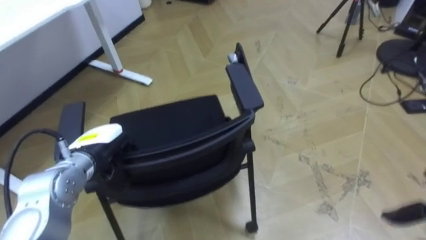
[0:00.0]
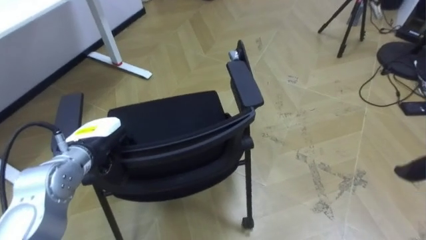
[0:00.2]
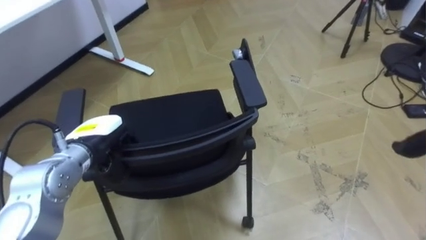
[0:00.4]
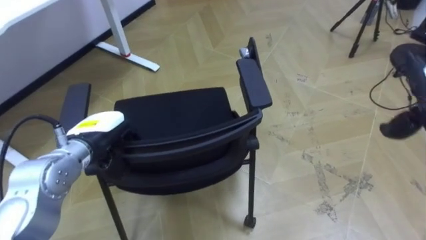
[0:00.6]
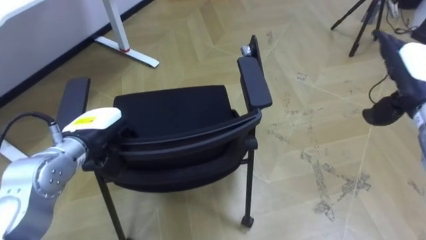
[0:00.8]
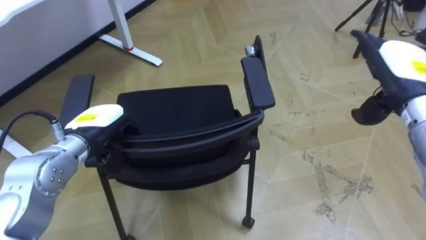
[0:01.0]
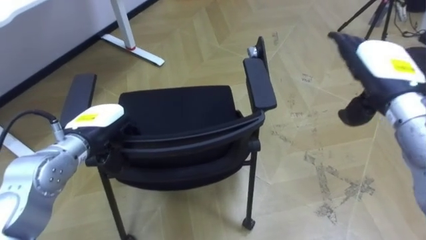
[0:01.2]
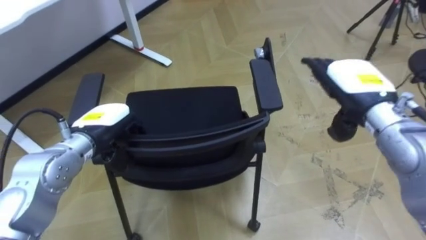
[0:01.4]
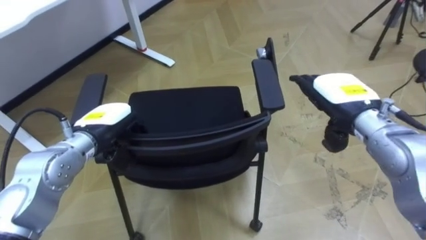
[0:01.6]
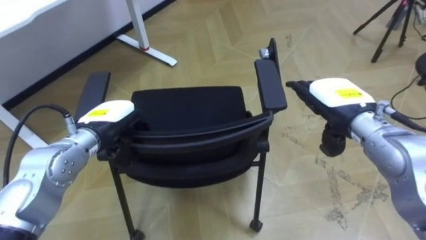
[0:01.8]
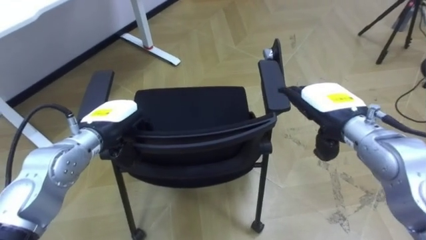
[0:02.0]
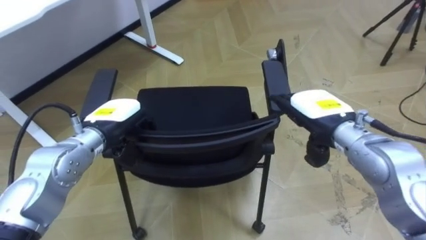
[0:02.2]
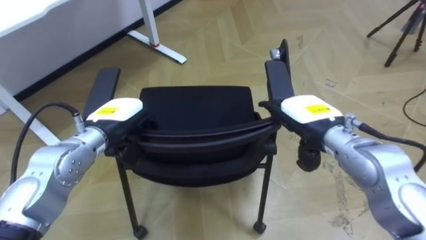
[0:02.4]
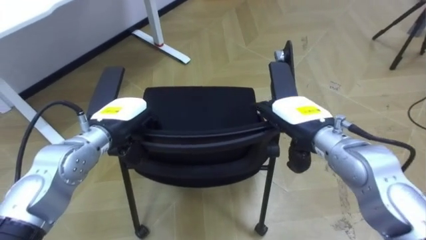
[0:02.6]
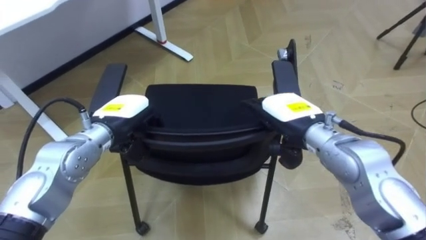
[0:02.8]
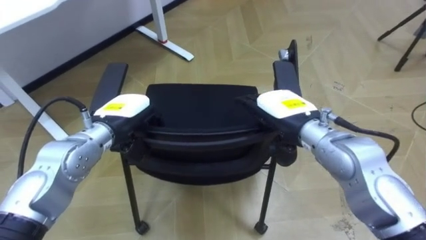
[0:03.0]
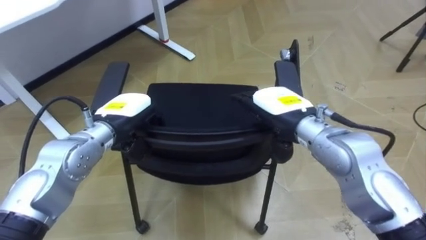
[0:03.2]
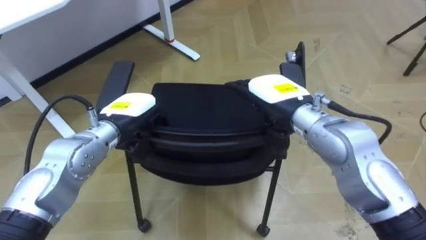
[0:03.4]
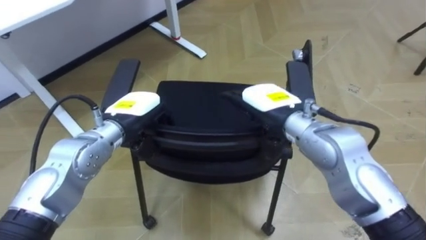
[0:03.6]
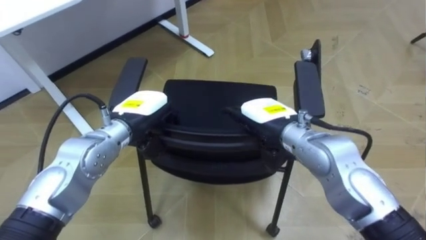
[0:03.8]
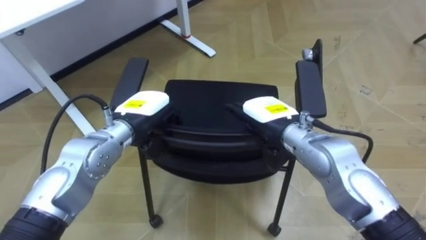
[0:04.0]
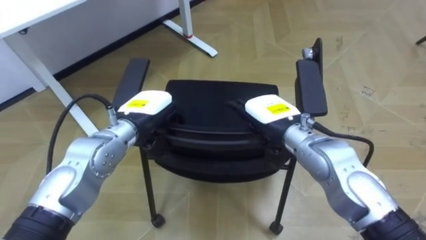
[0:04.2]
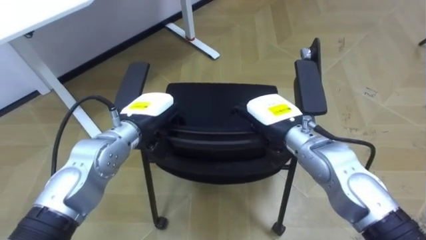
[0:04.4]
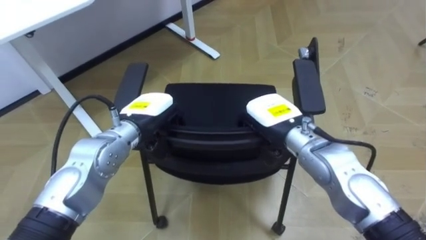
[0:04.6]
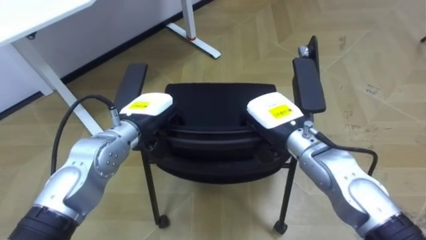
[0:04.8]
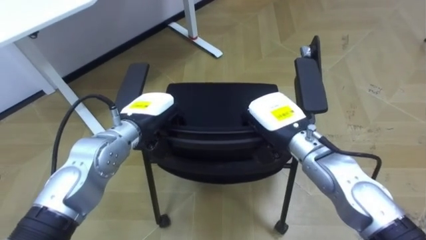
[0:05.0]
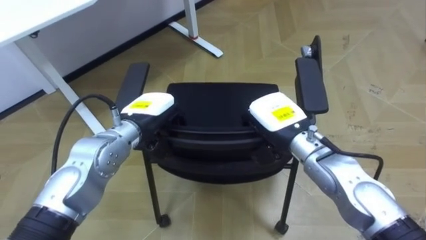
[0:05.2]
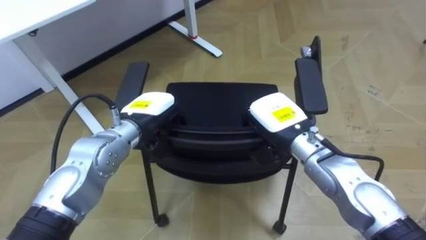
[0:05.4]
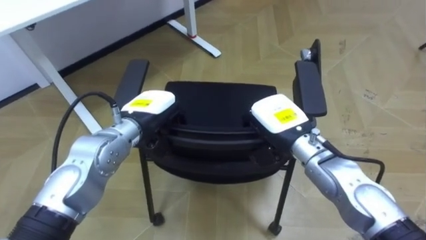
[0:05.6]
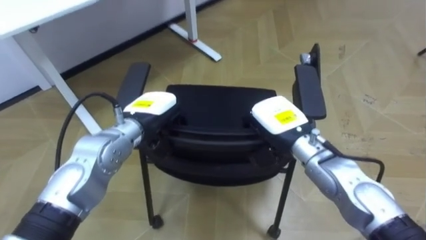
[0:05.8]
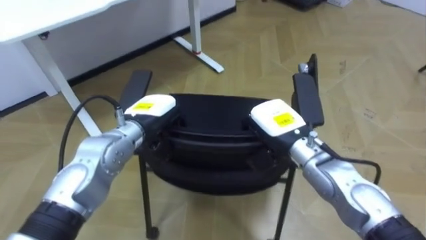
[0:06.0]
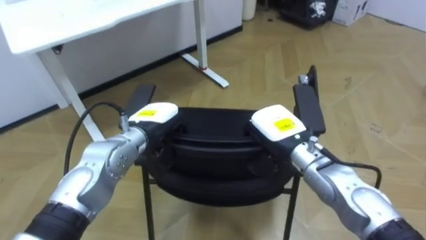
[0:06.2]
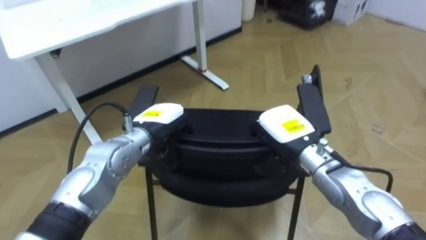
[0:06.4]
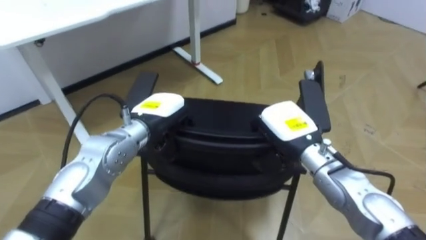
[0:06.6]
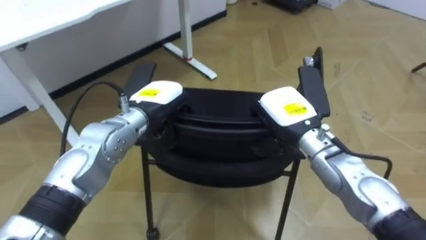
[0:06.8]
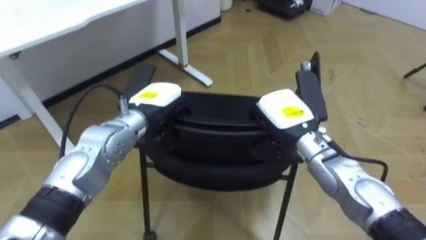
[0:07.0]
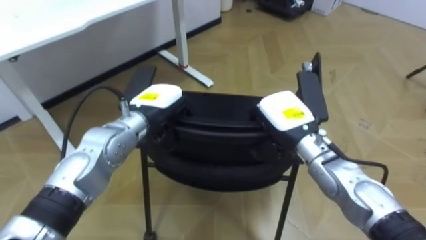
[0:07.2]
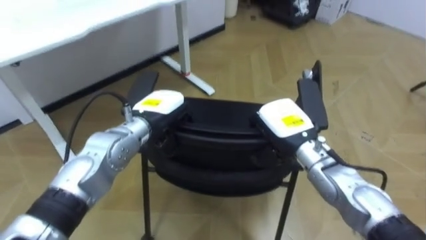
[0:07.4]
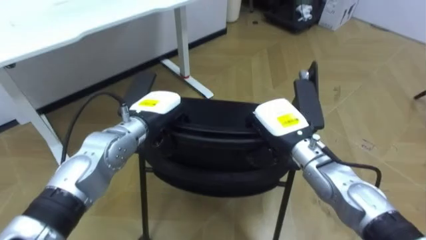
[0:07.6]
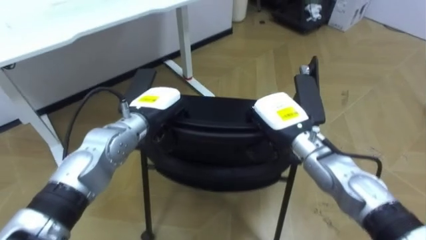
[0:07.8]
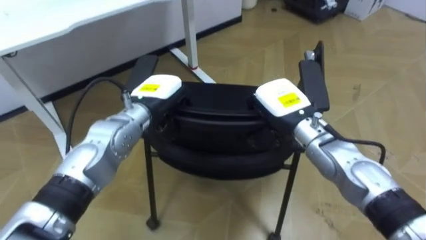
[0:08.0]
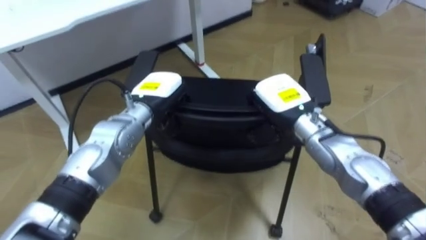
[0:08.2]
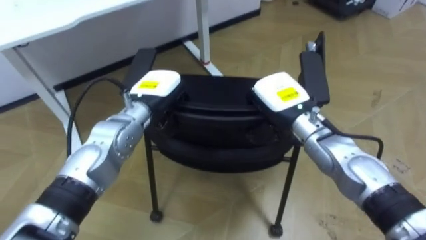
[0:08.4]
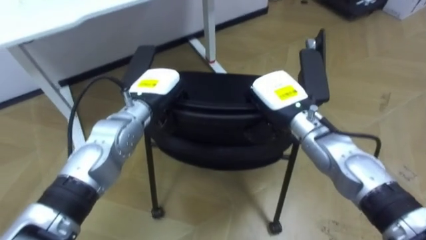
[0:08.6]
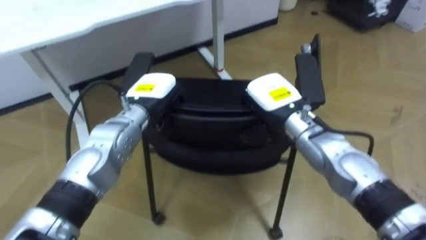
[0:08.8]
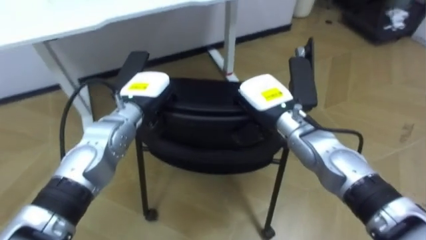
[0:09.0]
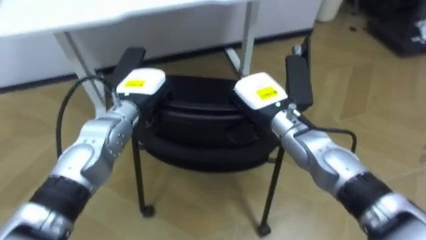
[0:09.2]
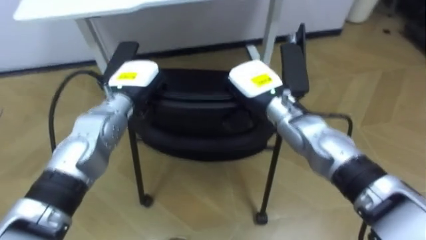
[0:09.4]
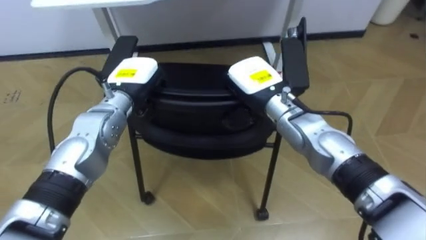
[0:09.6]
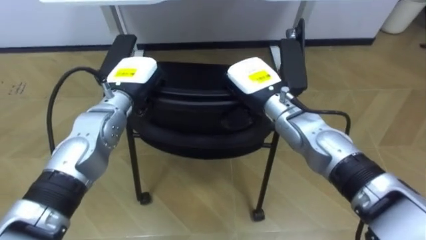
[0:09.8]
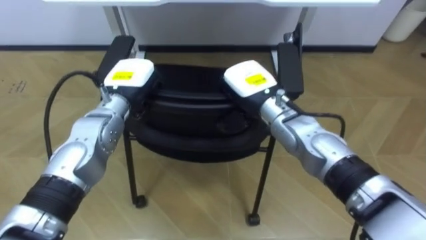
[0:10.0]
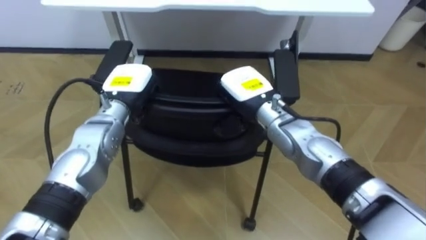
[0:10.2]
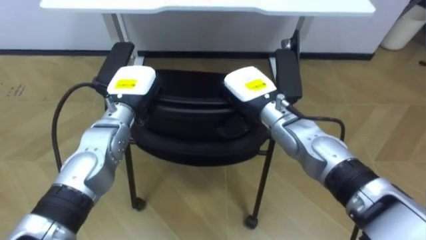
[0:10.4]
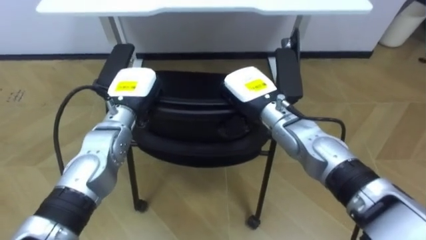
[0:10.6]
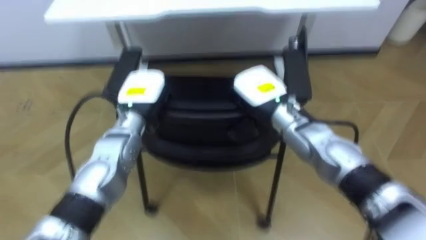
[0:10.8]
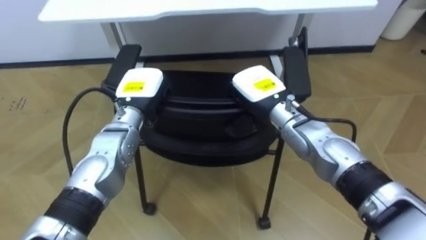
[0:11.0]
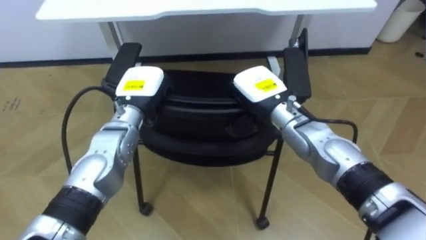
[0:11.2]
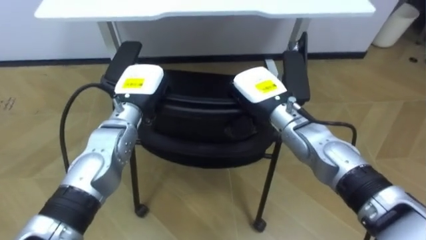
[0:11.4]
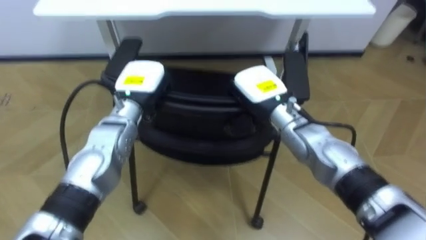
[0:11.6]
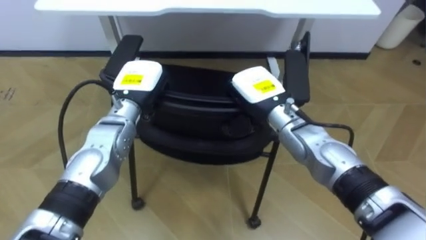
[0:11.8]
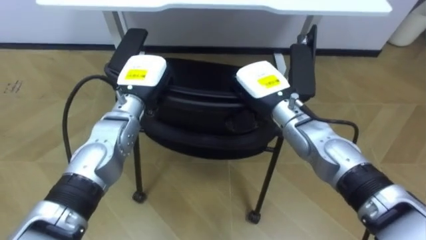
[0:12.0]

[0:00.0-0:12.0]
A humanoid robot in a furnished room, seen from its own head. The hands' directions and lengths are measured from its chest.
Task of the whole recording: Push the chair under the table.
0:01.6 to 0:03.0: The right hand is displaced to the left by approximately 10 cm.
0:04.4 to 0:06.0: The right hand closes.
0:07.6 to 0:09.0: The robot's body swings about 15 degrees to its left. The right hand ends up some 5 cm from where it was.
0:09.0 to 0:10.4: The robot faces approximately 15 degrees further to its left.

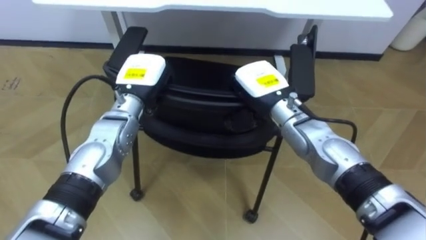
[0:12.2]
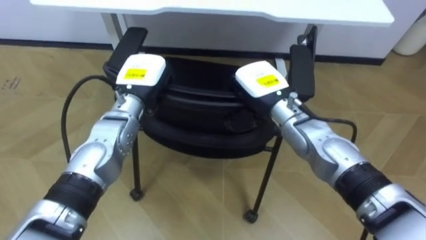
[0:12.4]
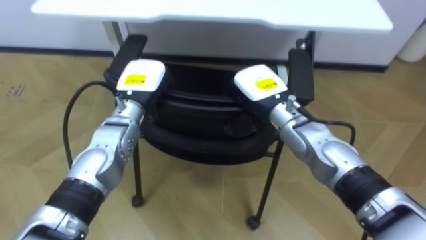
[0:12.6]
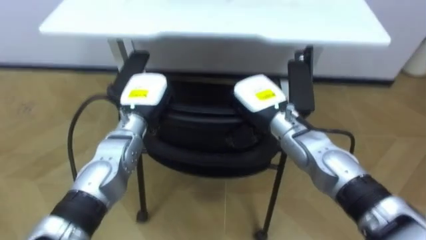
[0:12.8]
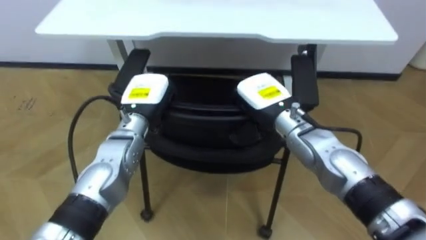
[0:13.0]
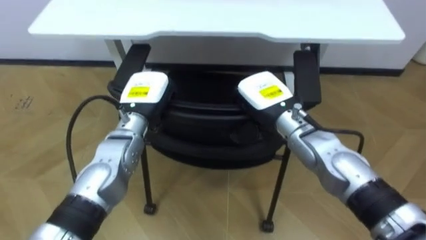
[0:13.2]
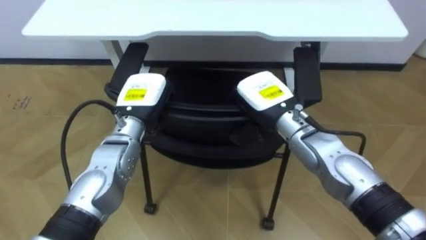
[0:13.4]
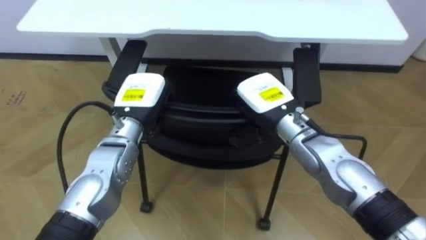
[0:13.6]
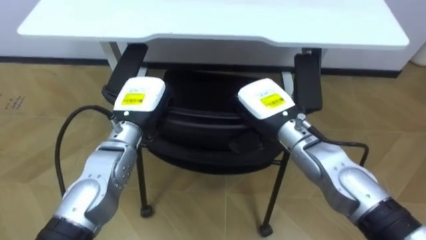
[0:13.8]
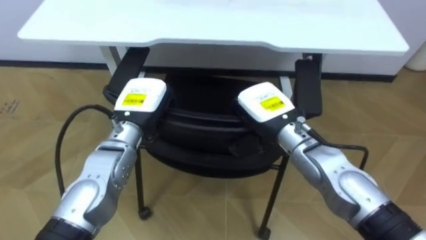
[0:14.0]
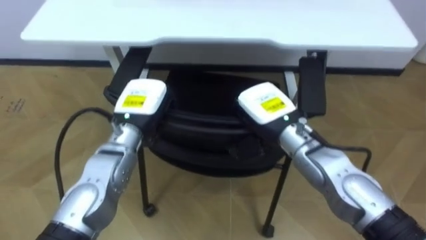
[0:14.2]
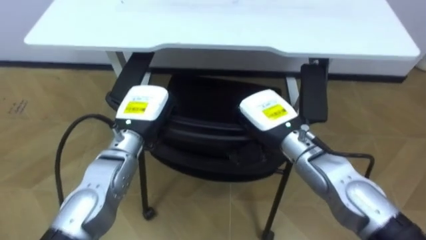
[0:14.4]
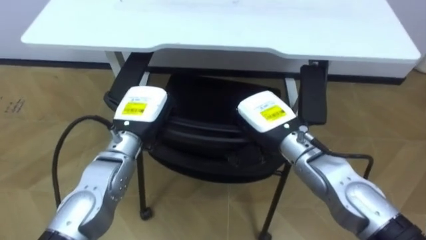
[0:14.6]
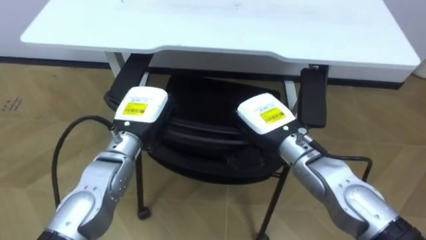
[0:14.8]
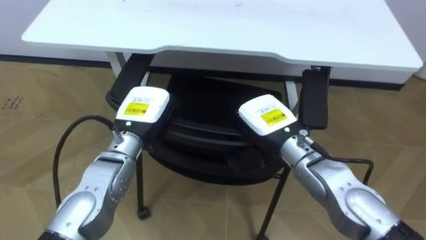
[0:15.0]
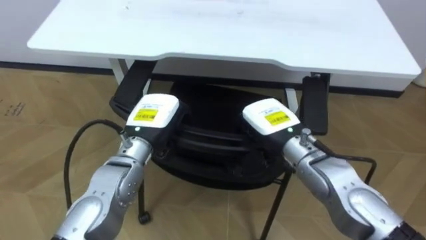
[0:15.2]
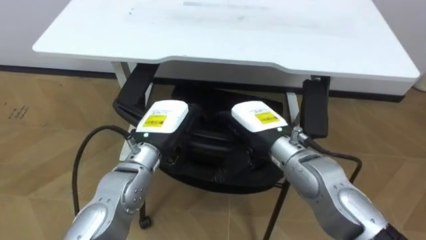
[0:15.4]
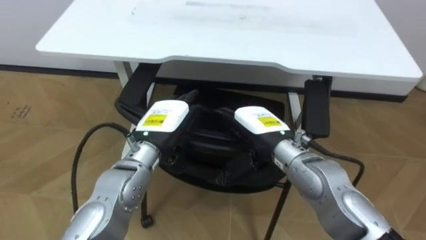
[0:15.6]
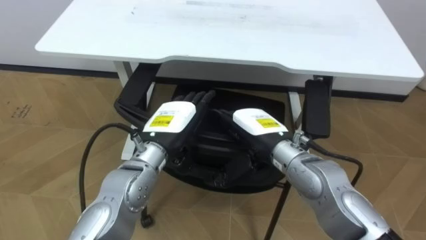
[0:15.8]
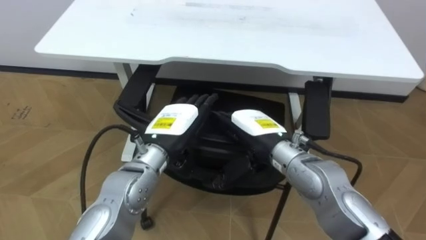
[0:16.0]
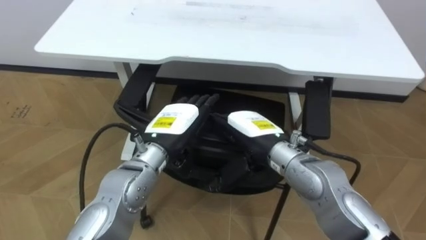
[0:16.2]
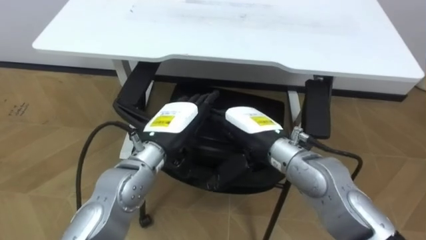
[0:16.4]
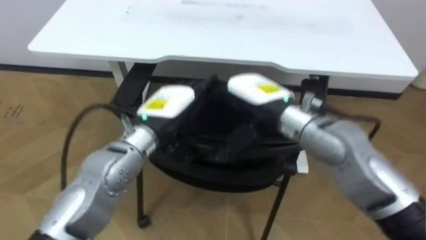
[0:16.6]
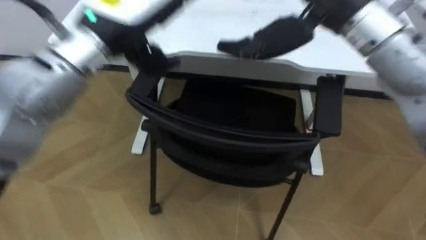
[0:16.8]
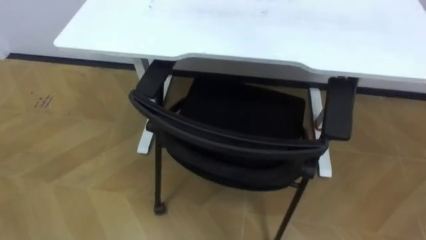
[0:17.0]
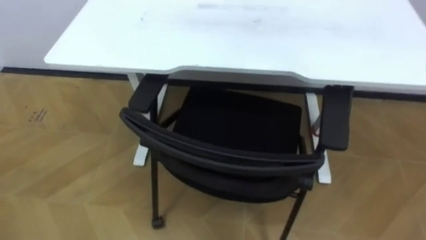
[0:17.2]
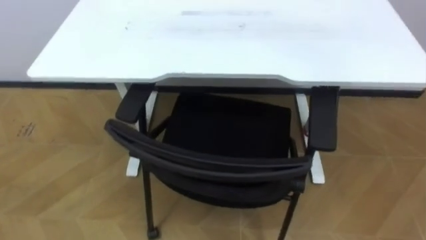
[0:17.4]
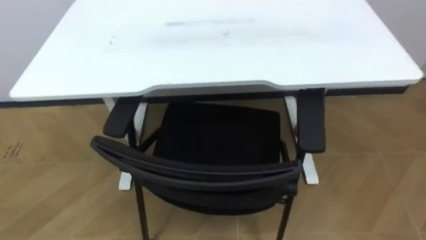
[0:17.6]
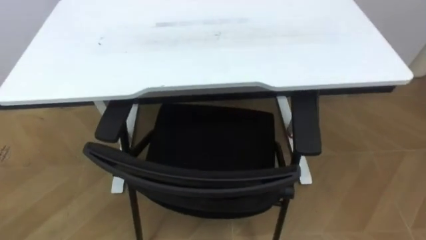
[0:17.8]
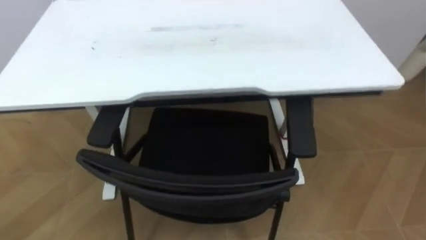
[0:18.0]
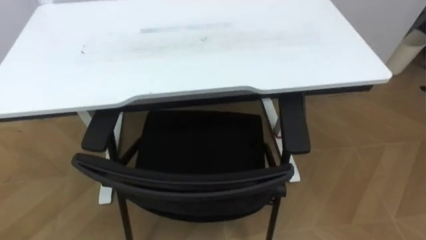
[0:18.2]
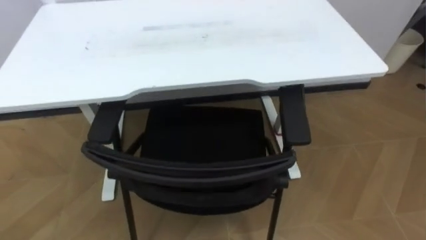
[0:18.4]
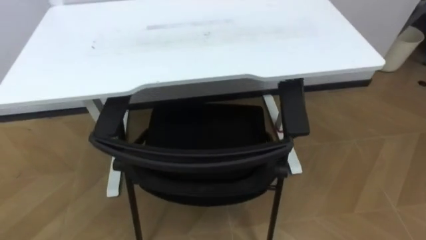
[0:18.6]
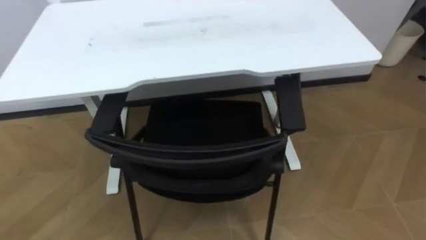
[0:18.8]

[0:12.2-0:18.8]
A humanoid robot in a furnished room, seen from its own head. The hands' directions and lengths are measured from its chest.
Task of the whole recording: Push the chair under the table.
0:13.8 to 0:15.4: The left hand ends up about 5 cm from where it was, and opens up. The right hand opens.
